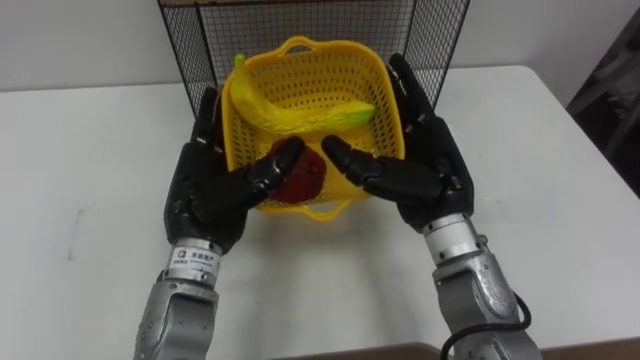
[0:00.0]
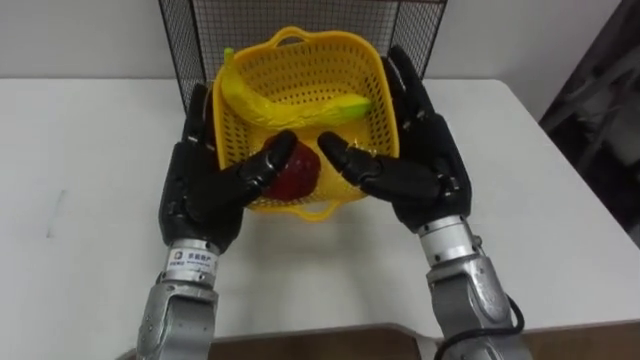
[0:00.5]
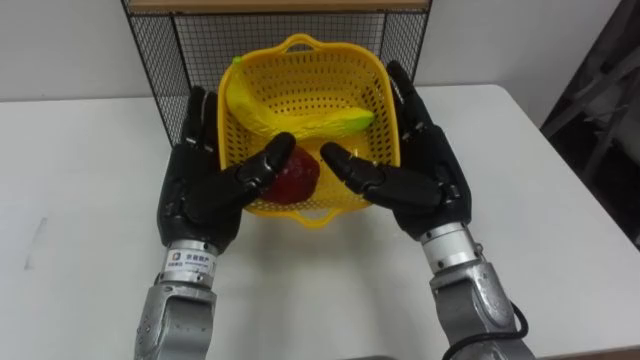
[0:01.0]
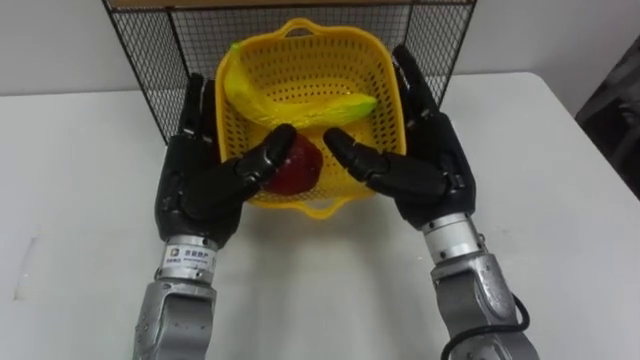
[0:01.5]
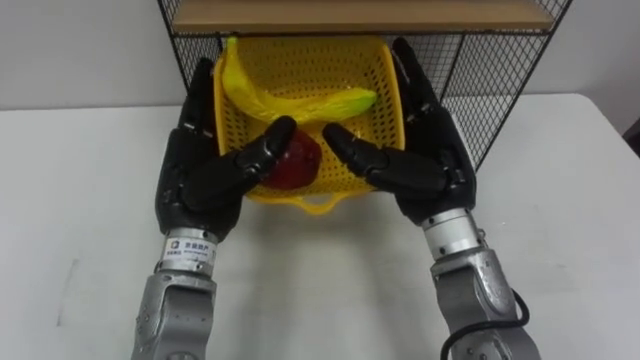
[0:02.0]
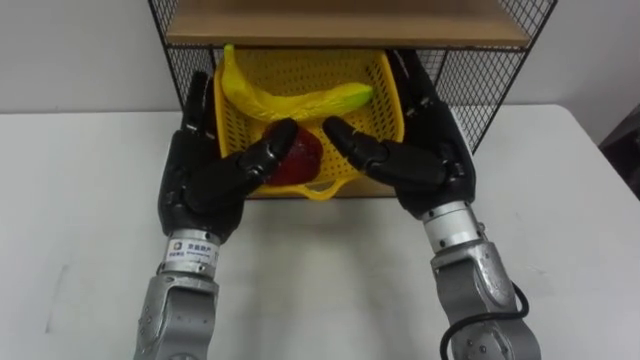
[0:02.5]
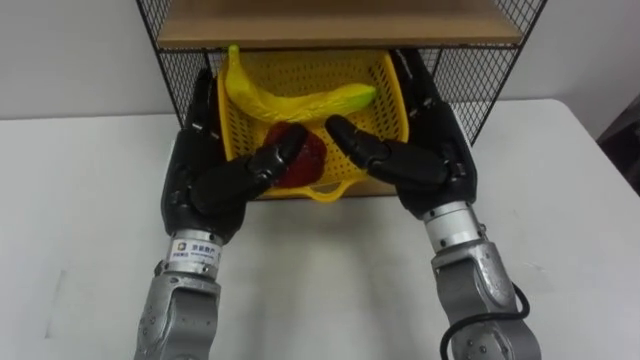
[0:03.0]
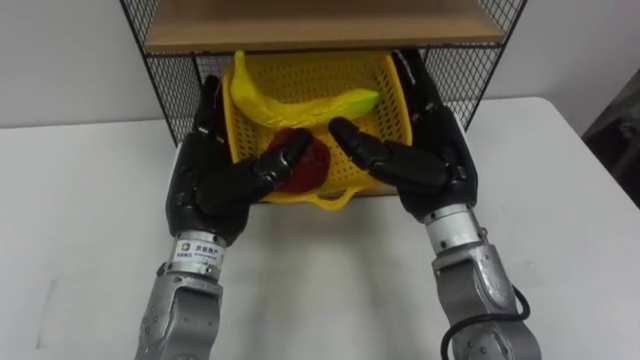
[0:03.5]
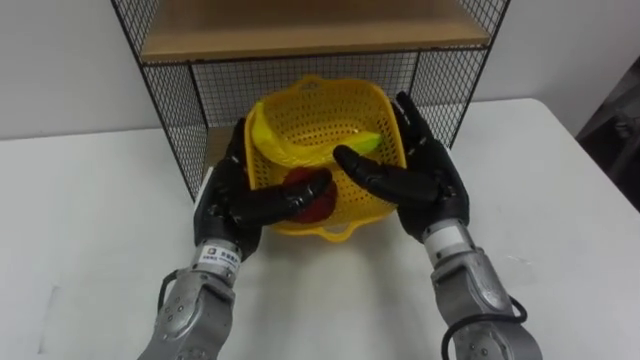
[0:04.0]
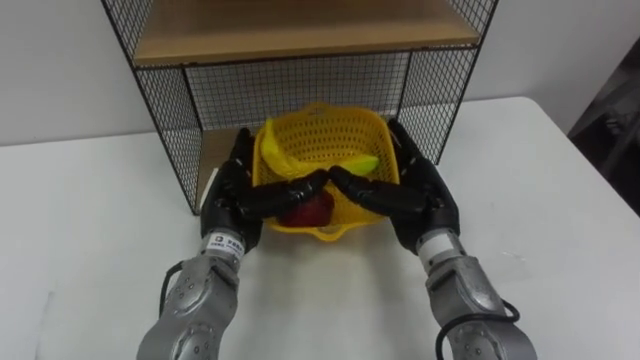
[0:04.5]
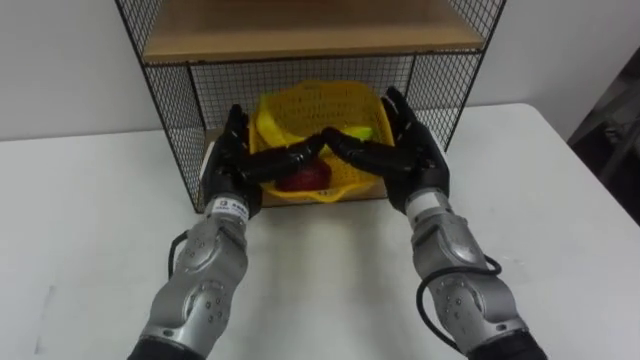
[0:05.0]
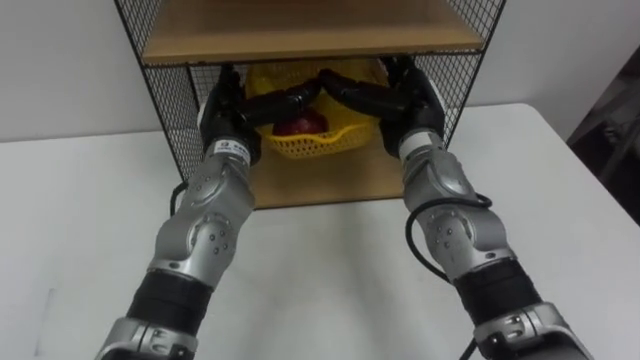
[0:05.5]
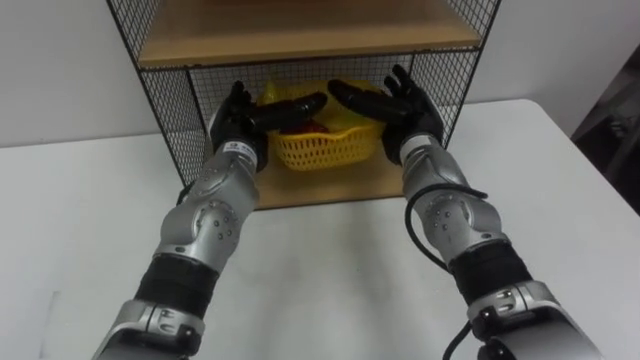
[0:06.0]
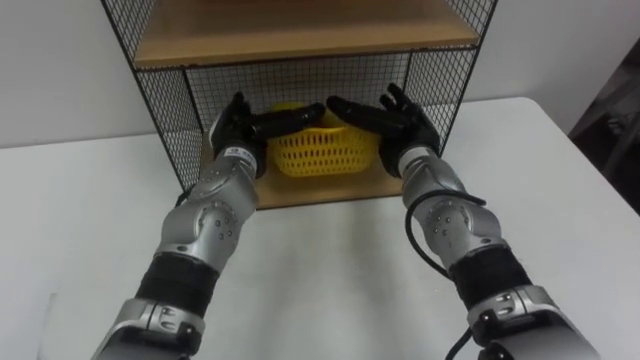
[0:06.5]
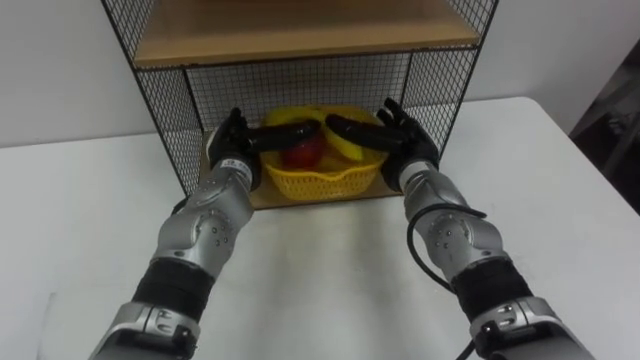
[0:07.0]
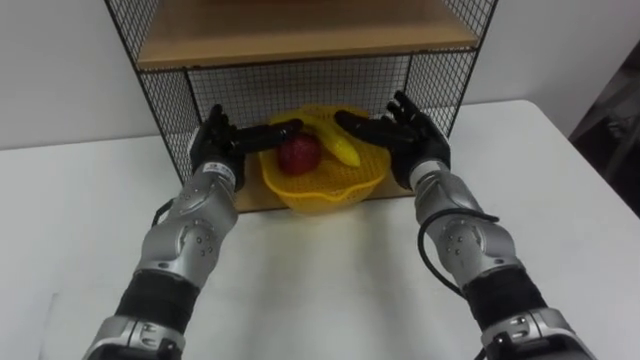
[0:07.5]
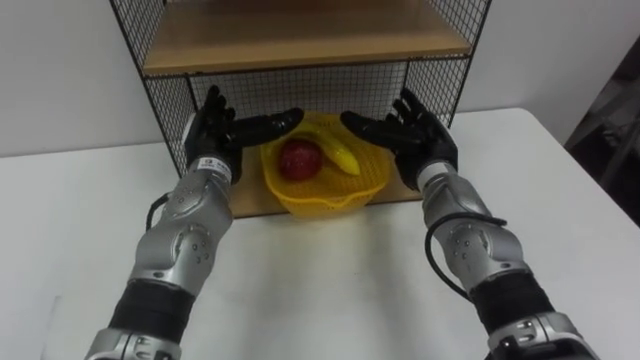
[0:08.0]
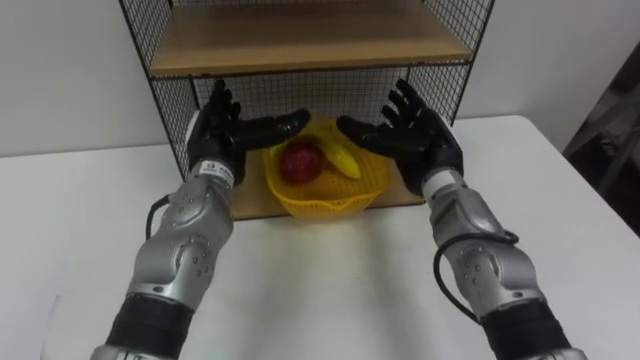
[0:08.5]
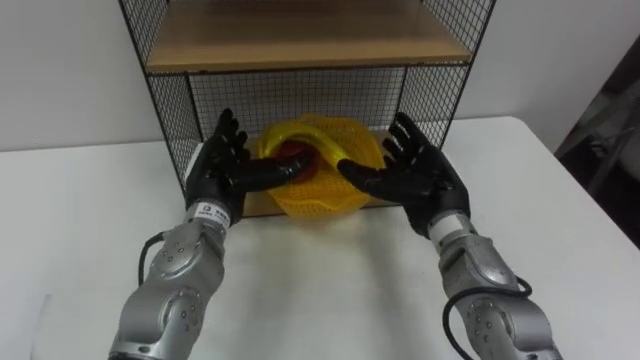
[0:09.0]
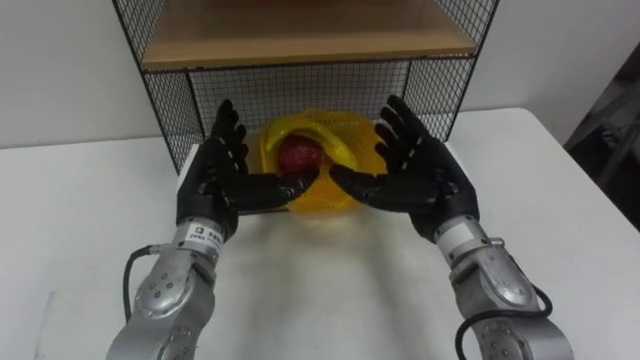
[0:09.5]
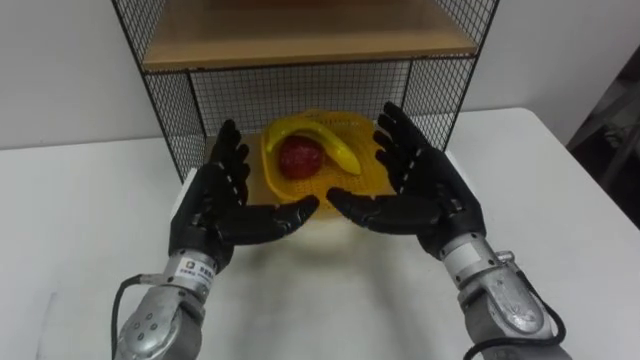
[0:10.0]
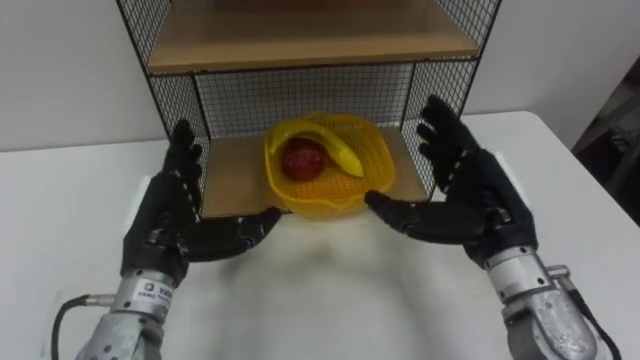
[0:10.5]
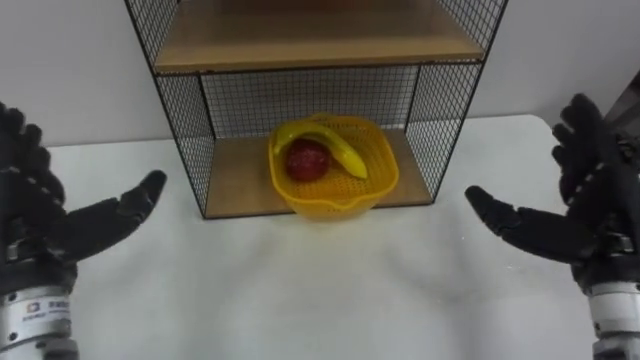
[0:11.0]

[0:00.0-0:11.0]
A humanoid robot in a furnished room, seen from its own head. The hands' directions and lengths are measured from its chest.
Task of the whole recording: Put the fruit on the table into the basket, then place the basket on the shelf.
0:03.5 to 0:05.5: The hands both shift forward by some 10 cm.
0:05.5 to 0:07.5: The hands both shift downward by about 5 cm.
0:07.5 to 0:09.0: The right hand heads backward, covering roughly 5 cm.
0:09.0 to 0:11.0: The left hand travels to the left, backward and upward by approximately 20 cm. Meanwhile the right hand goes about 20 cm to the right, backward and upward.

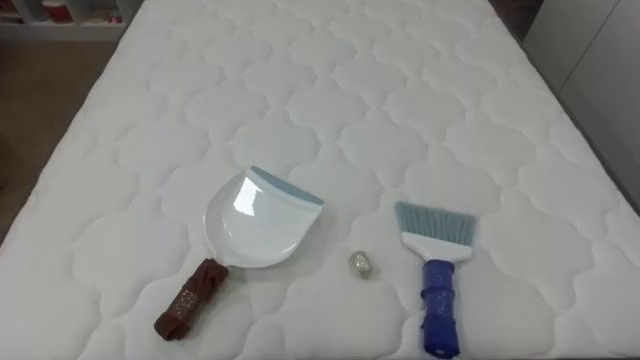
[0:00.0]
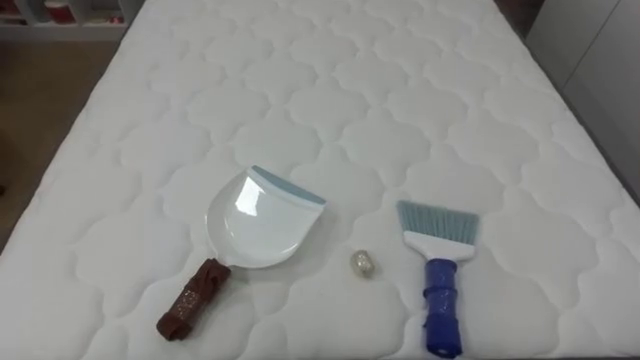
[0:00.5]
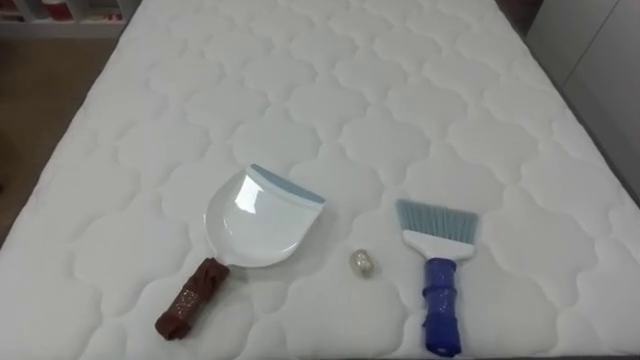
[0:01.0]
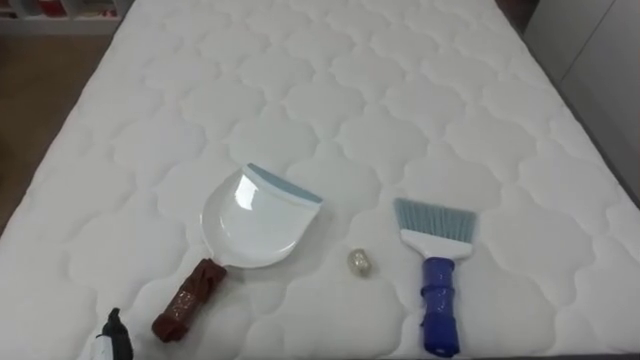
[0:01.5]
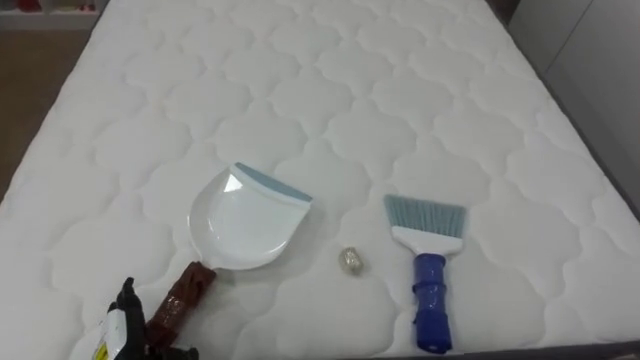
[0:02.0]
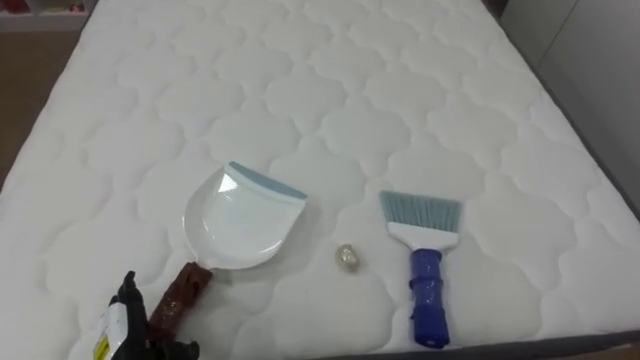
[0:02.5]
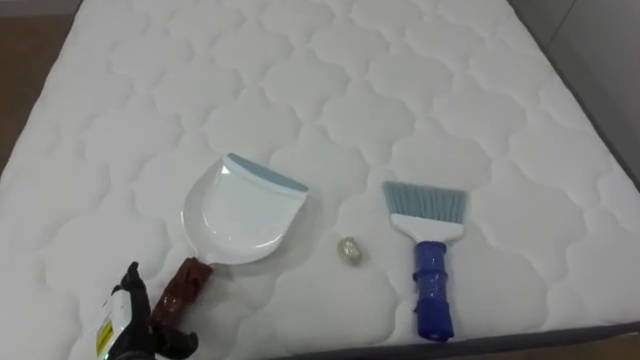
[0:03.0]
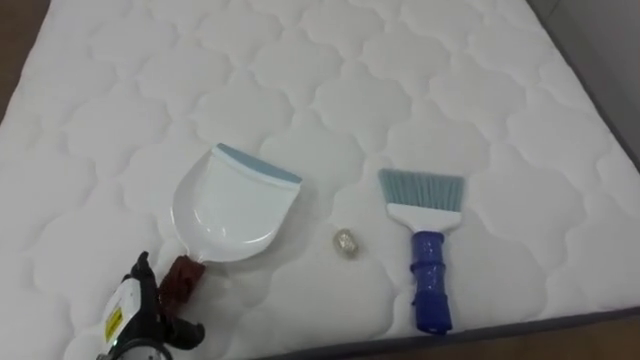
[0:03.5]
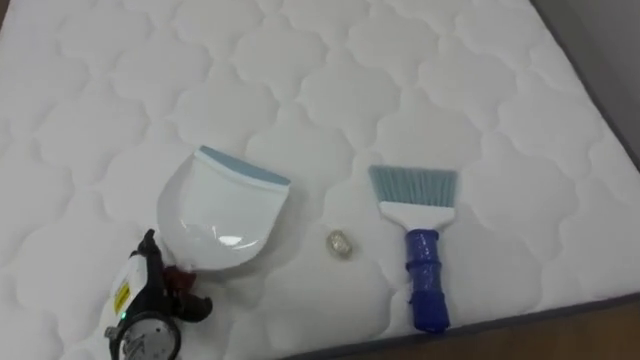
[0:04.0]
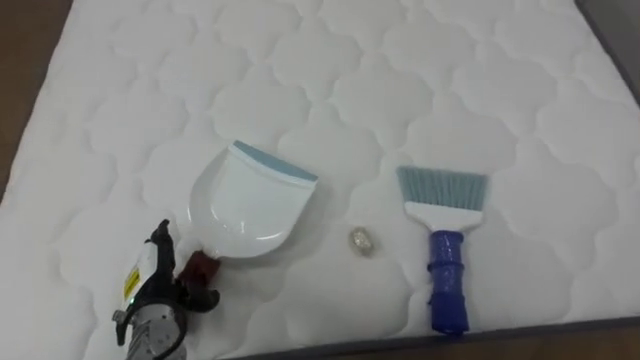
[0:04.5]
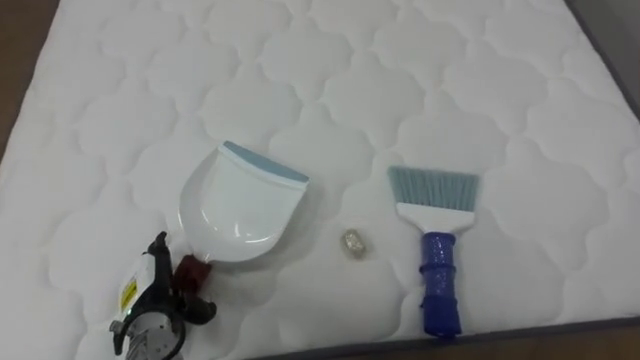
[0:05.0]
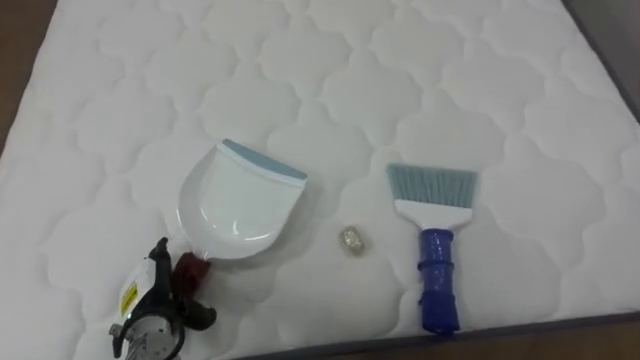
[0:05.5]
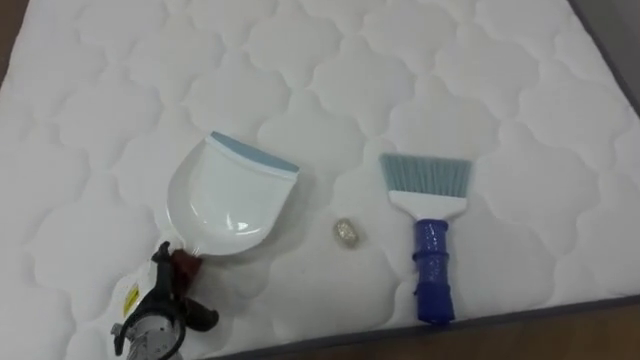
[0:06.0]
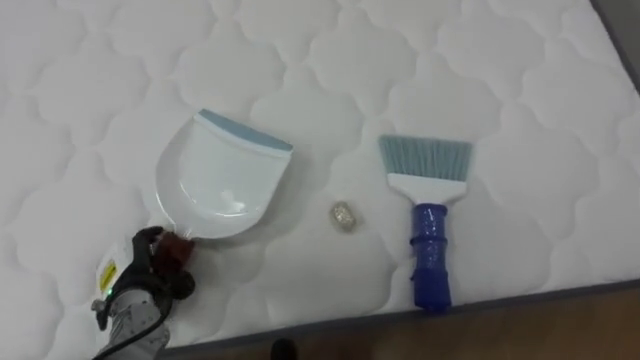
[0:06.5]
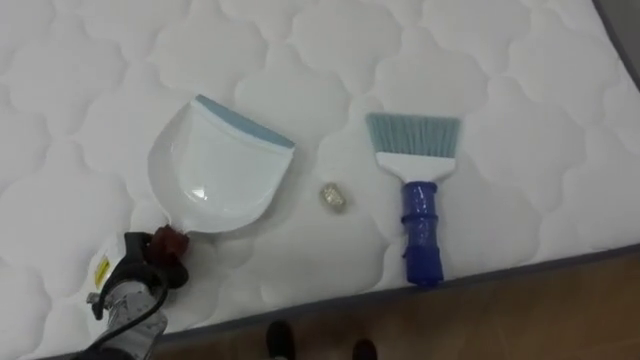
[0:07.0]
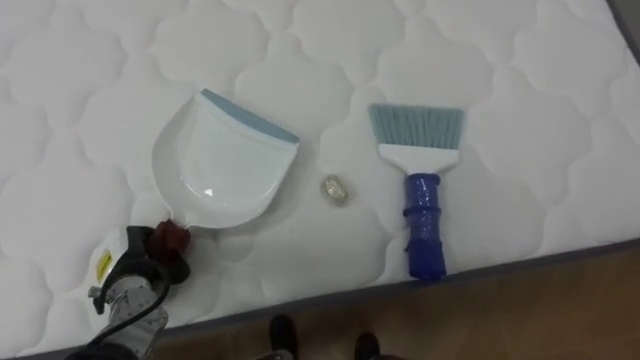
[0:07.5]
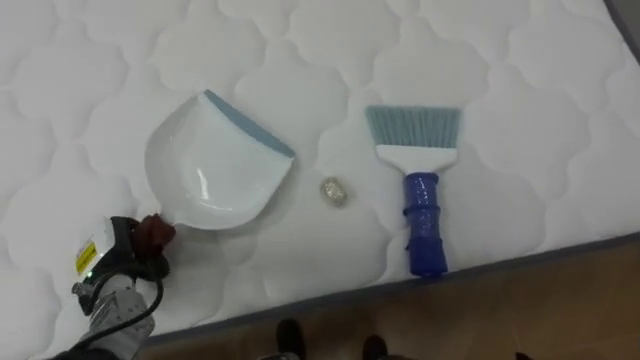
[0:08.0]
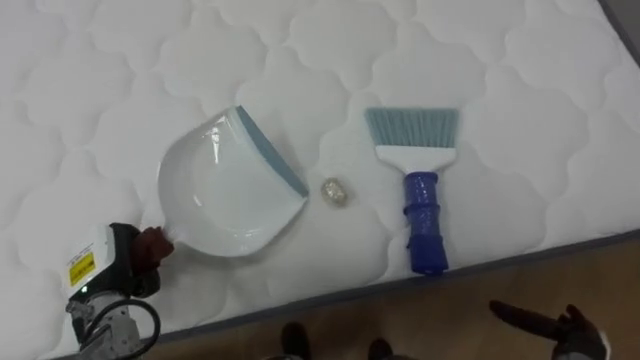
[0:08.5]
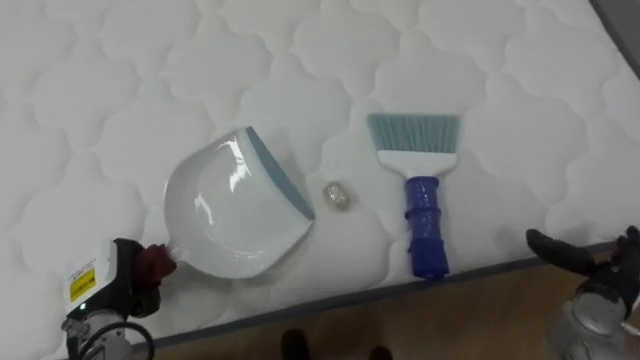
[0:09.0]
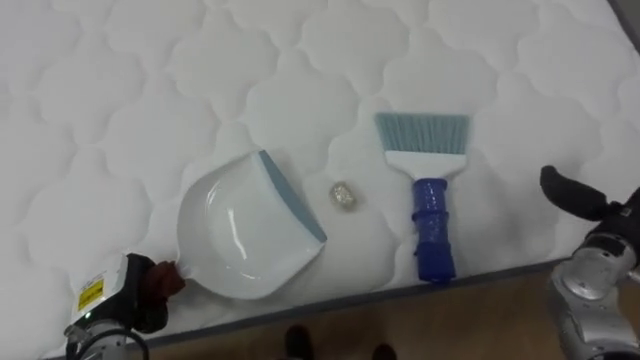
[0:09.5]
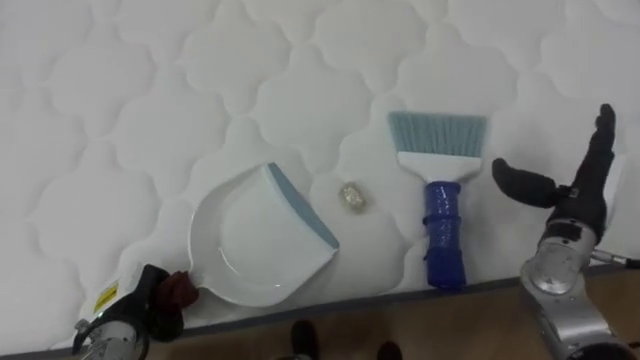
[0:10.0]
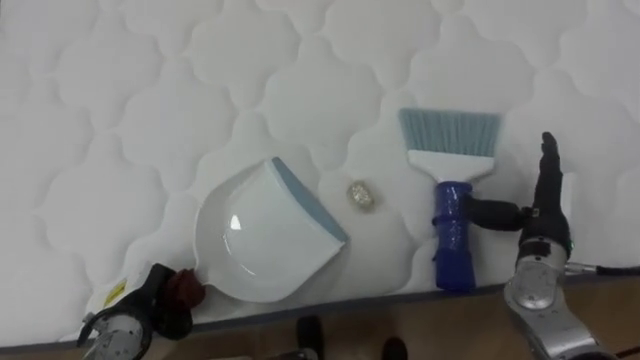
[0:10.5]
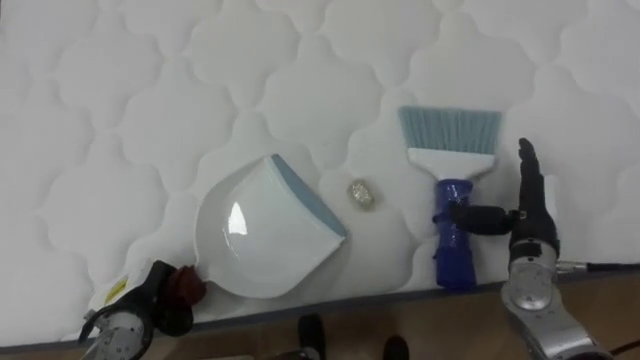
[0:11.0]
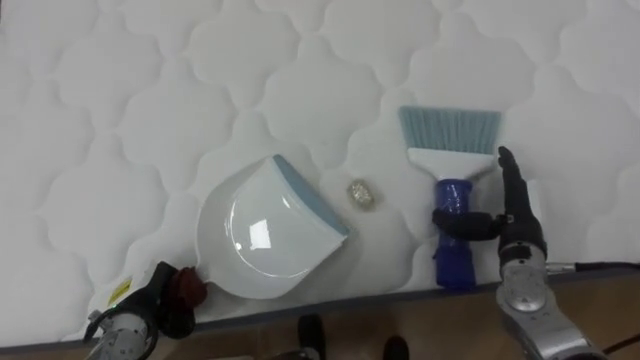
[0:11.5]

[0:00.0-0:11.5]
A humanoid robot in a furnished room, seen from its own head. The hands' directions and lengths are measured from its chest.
Task of the whole recording: Pick up the brush on your right and the dustpan on your left. Use the brush to sweep the crumpled paper on the bed into the dustpan, then turn left and empty it into the basket.
0:02.0 to 0:04.0: The left hand travels forward by roughly 5 cm.
0:06.0 to 0:07.5: The left hand ends up approximately 5 cm from where it was, and closes its fingers.
0:07.5 to 0:09.5: The left hand ends up roughly 5 cm from where it was.
0:09.5 to 0:11.5: The right hand moves to the left, about 10 cm.
